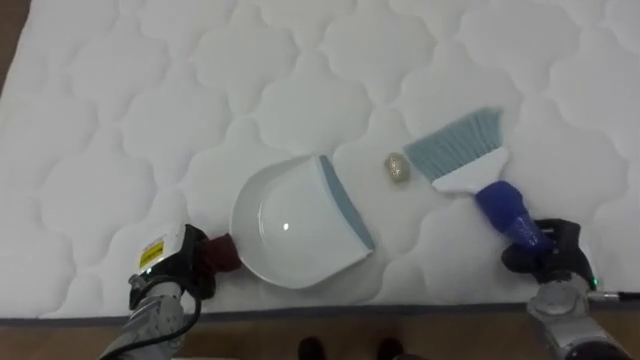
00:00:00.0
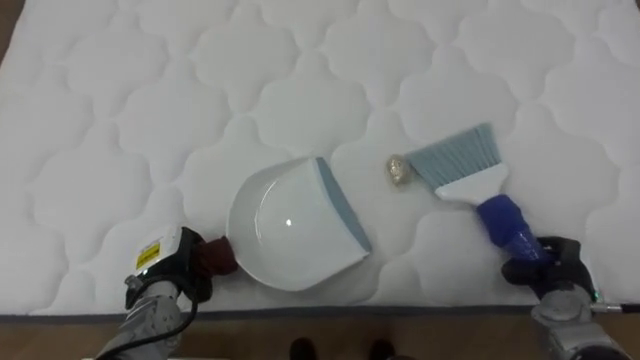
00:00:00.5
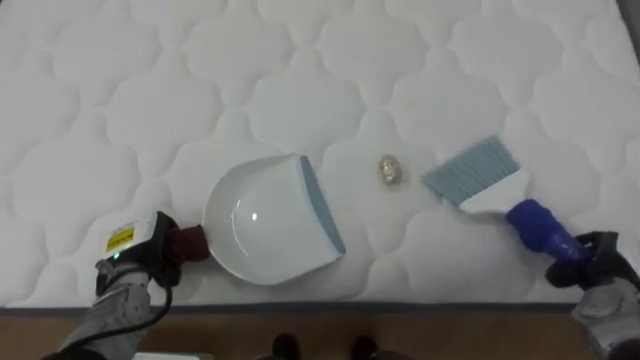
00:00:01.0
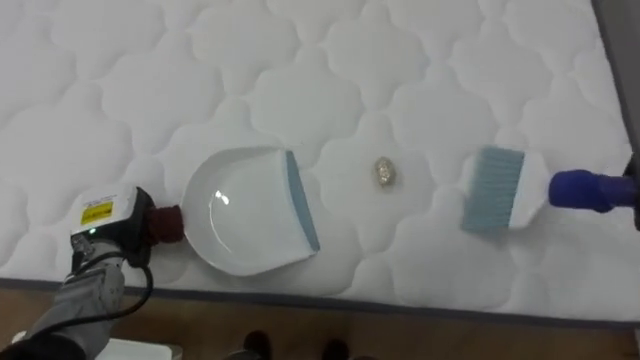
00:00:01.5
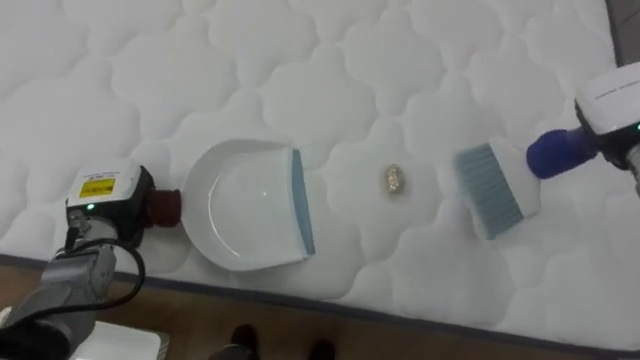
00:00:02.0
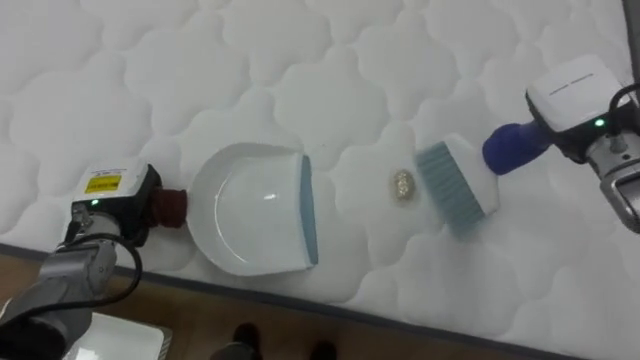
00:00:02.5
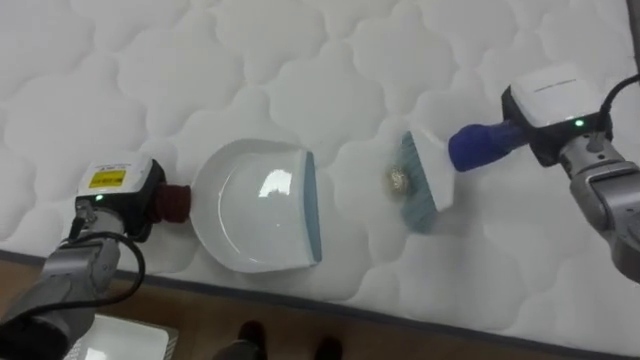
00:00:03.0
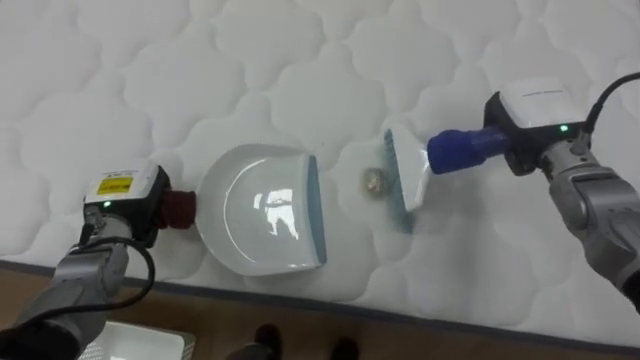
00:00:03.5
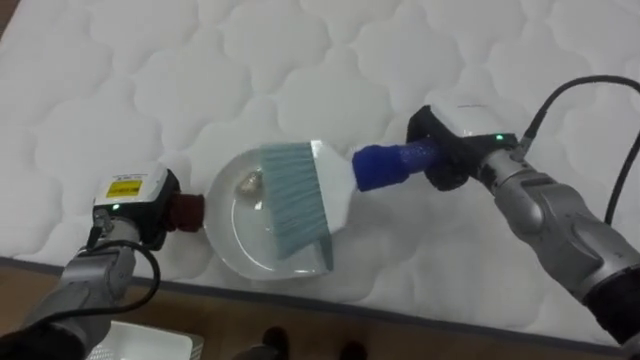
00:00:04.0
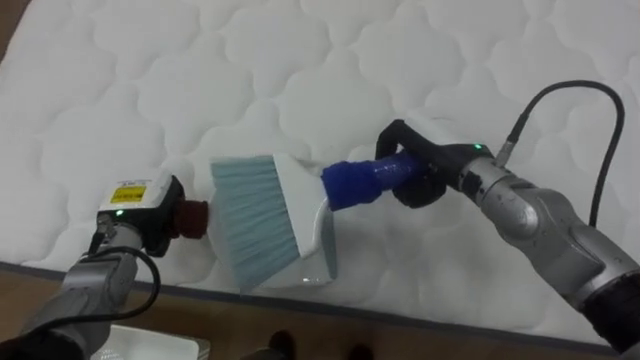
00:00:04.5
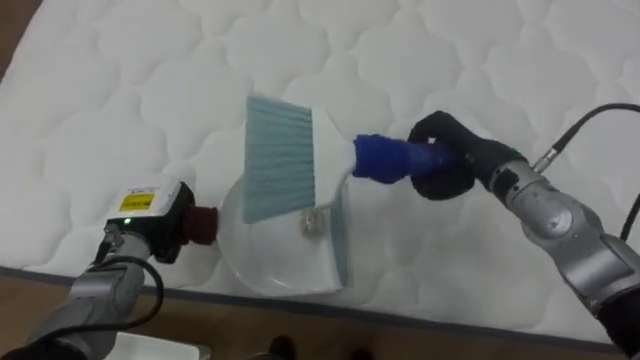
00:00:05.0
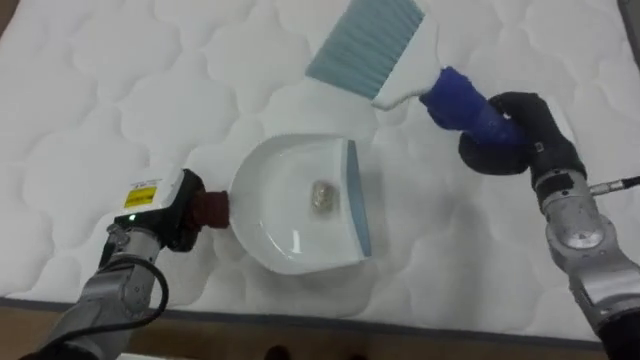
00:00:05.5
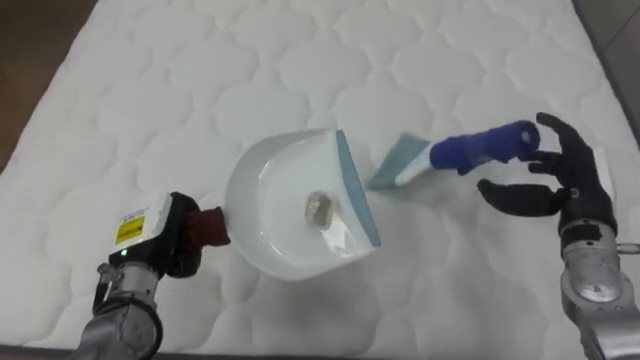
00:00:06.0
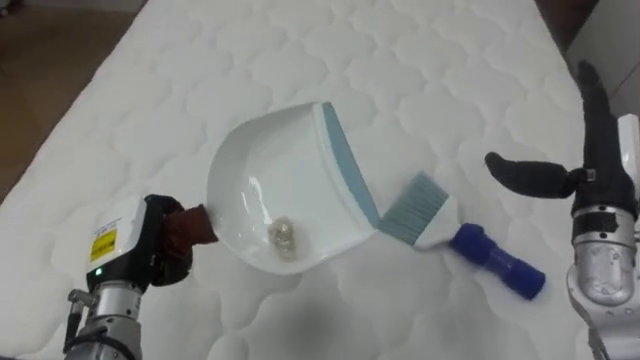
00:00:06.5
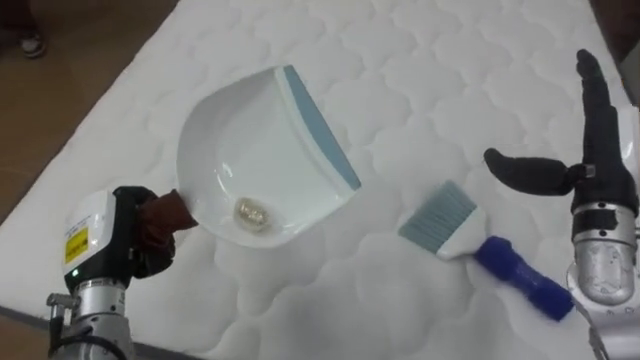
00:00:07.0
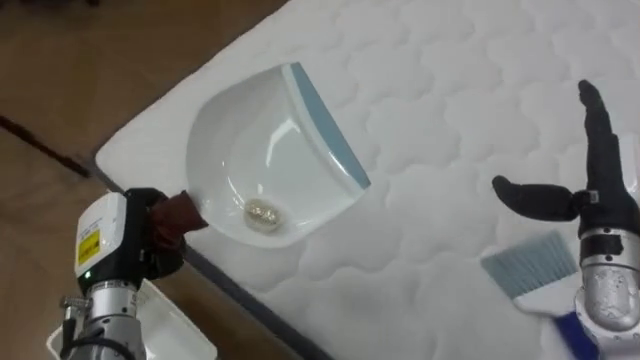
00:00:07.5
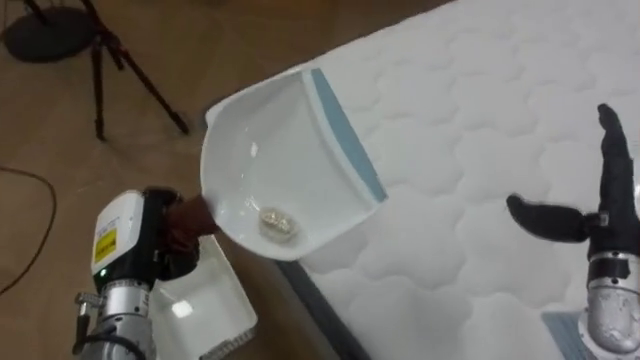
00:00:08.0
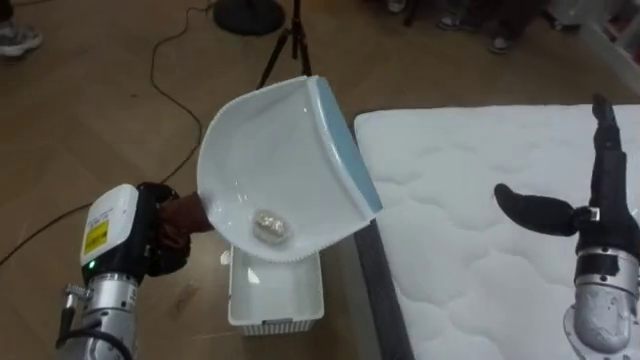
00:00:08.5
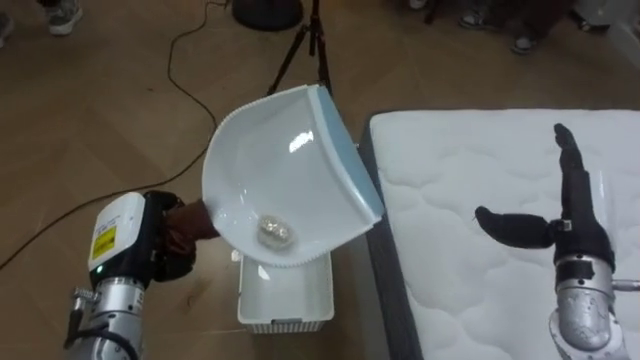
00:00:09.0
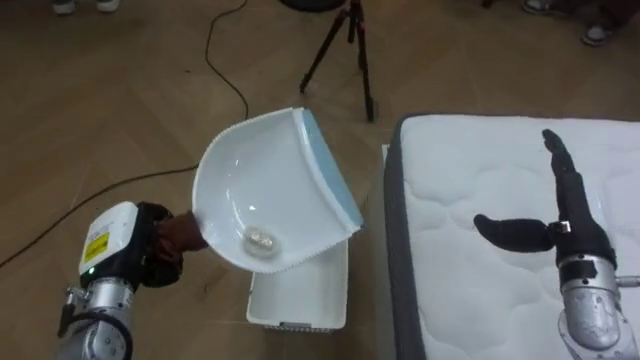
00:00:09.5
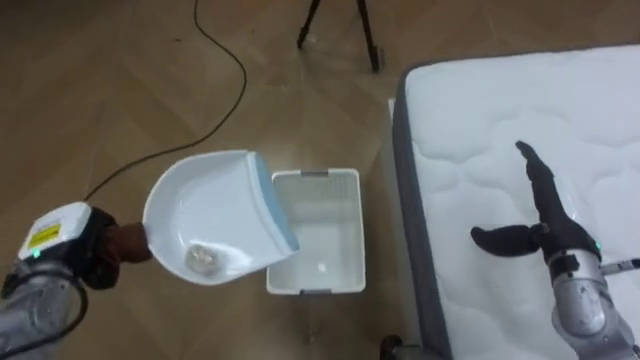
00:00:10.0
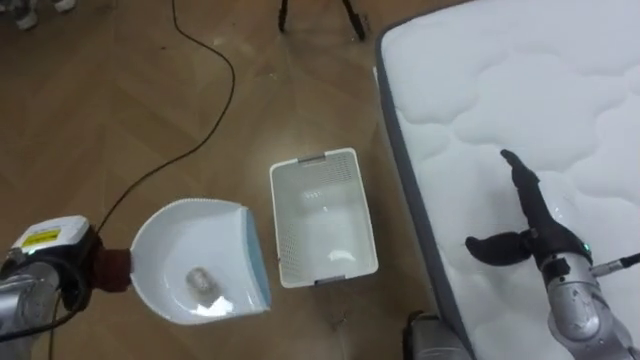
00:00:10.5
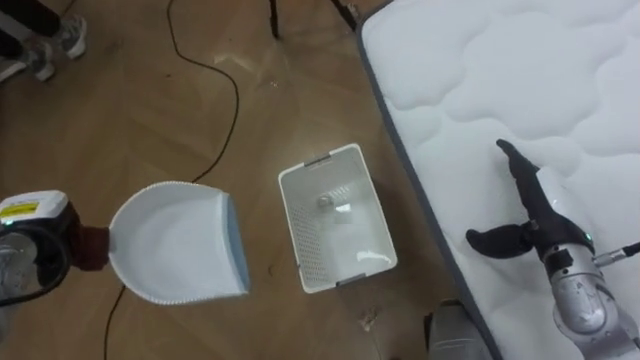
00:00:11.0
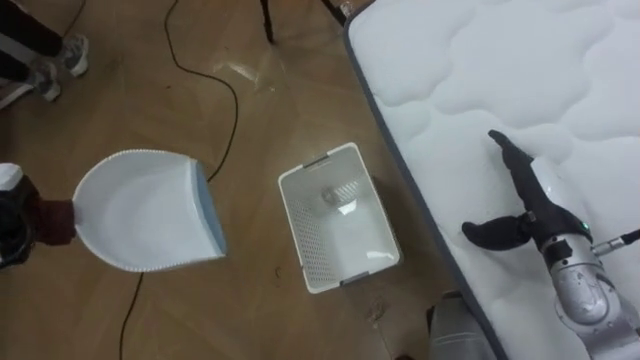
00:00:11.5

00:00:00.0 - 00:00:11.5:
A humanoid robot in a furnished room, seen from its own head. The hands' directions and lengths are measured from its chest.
Task of the whole recording: Pick up the brush on your right and the dustpan on your left. Use the brush to sweep the crumpled paper on the bed into the dustpan, then turn left and empty it into the basket.
00:00:00.0 - 00:00:02.0: The left hand is displaced upward and to the left by about 10 cm.
00:00:02.0 - 00:00:04.0: The right hand moves to the left, about 20 cm.
00:00:04.0 - 00:00:06.0: The right hand shifts about 15 cm to the right and backward, and opens; the left hand ends up about 5 cm from where it was.
00:00:06.0 - 00:00:07.5: The robot turns to its left by approximately 30 degrees. The right hand ends up about 5 cm from where it was, while the left hand ends up roughly 5 cm from where it was.
00:00:07.5 - 00:00:09.5: The robot rotates some 55 degrees to its left. The right hand moves roughly 5 cm.

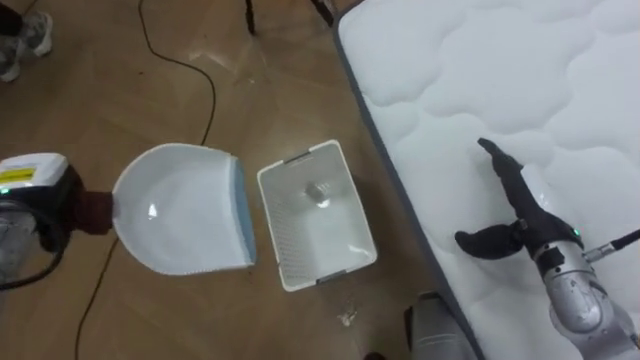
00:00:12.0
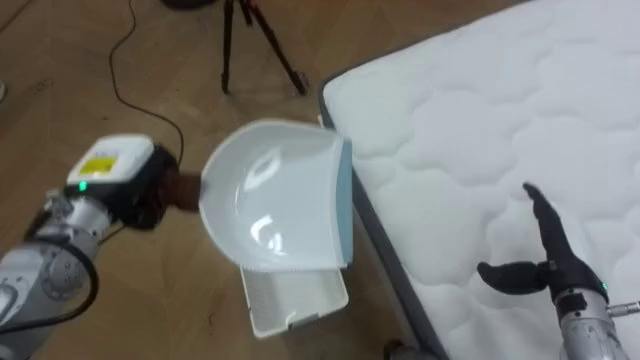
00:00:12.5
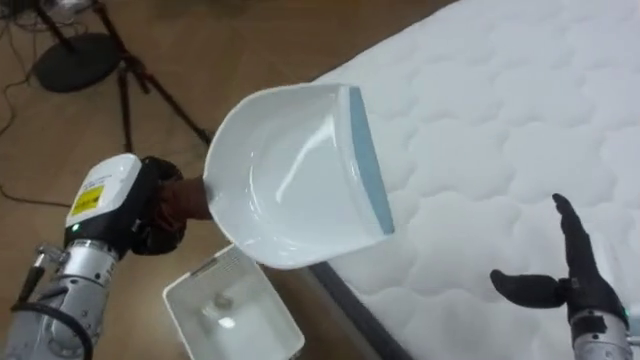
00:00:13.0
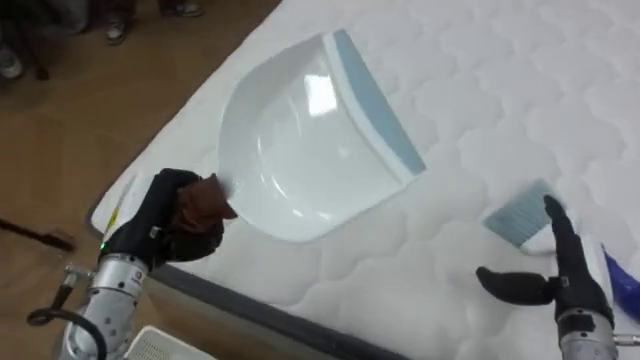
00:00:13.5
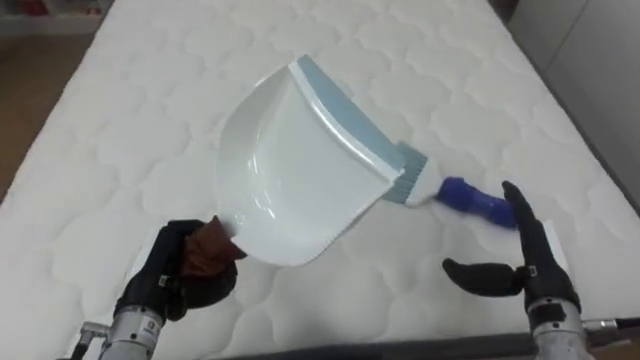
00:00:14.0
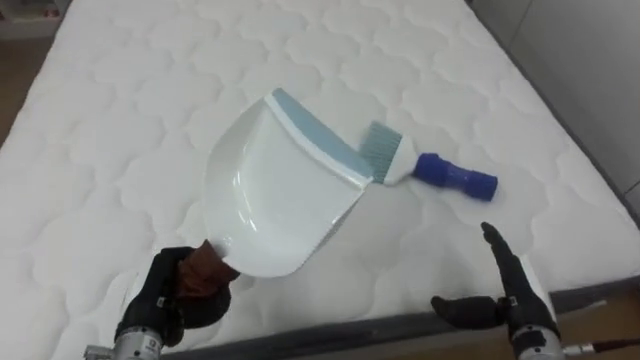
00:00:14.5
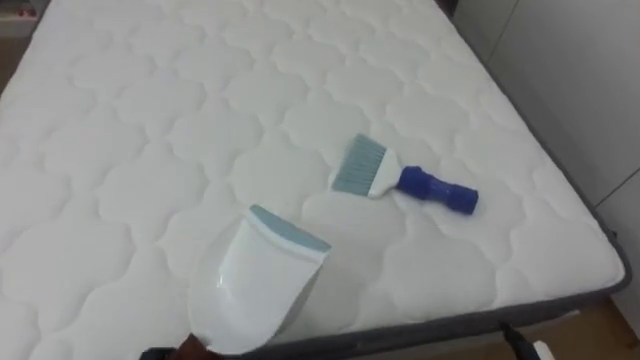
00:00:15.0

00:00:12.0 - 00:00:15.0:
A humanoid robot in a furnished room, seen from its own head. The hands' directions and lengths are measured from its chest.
Task of the whole recording: Pick up the brush on your right and the dustpan on your left. Use the brush to sweep the crumpled paper on the bed into the dustpan, then turn left and empty it into the basket.
00:00:12.0 - 00:00:13.5: The robot turns to its right by approximately 55 degrees. The right hand is displaced backward by about 10 cm, while the left hand travels to the right by about 15 cm.
00:00:13.5 - 00:00:15.0: The robot rotates some 40 degrees to its right.

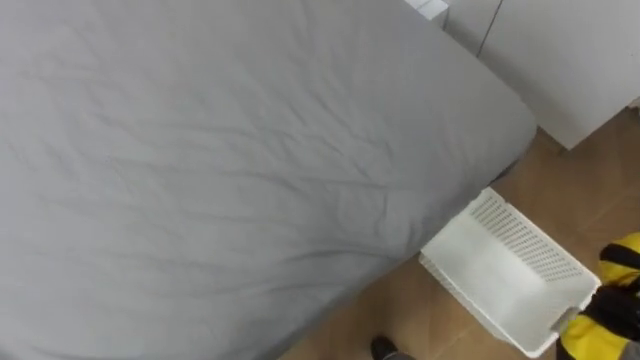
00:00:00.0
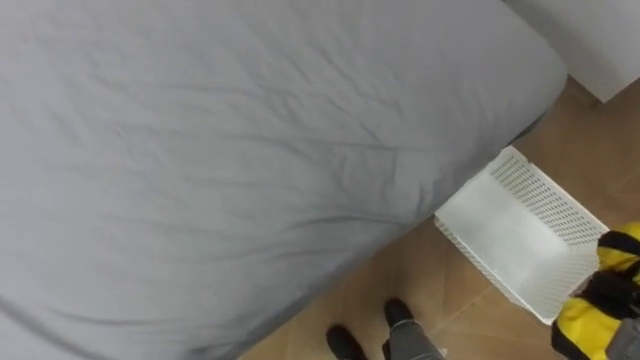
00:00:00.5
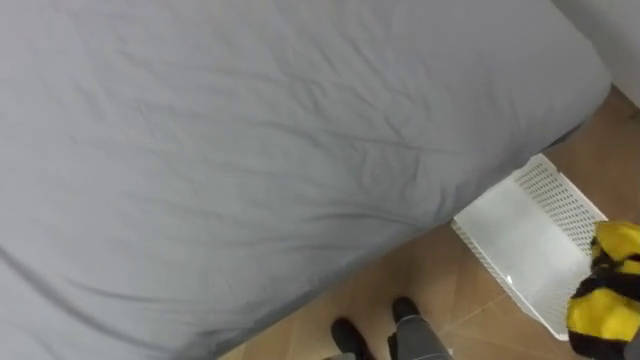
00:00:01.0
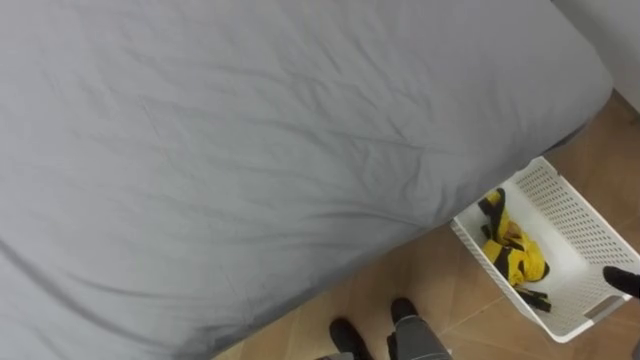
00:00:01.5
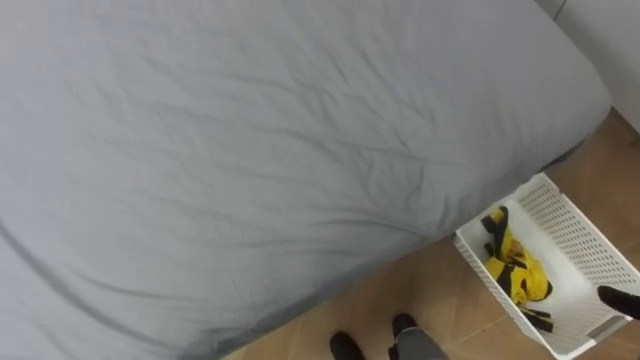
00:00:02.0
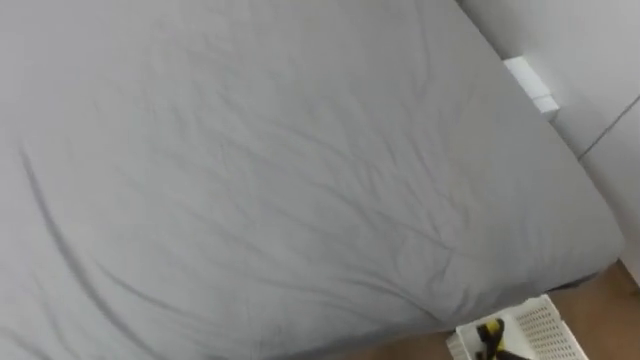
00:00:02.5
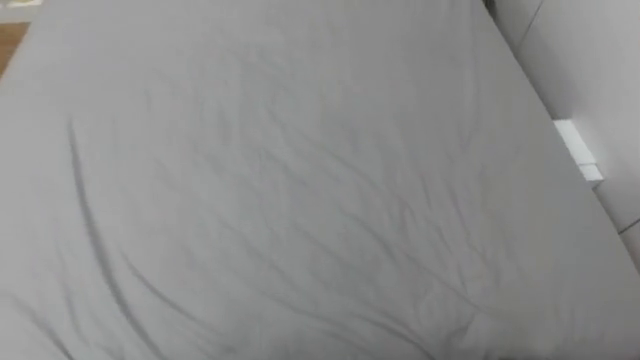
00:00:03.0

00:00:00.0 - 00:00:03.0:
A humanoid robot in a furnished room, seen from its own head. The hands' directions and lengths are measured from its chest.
Task of the whole recording: Pick up the yellow clothes on the bed and place them into the white basket on the right.
00:00:01.5 - 00:00:03.0: The robot turns to its left by about 15 degrees.

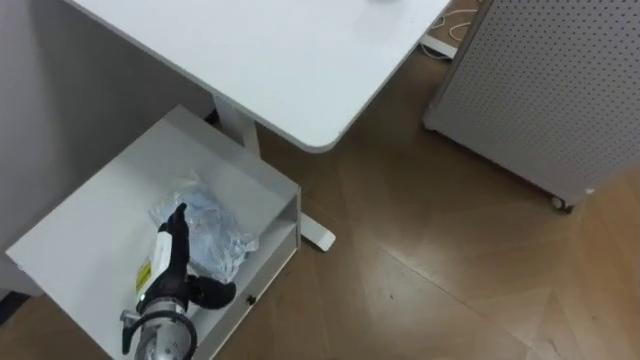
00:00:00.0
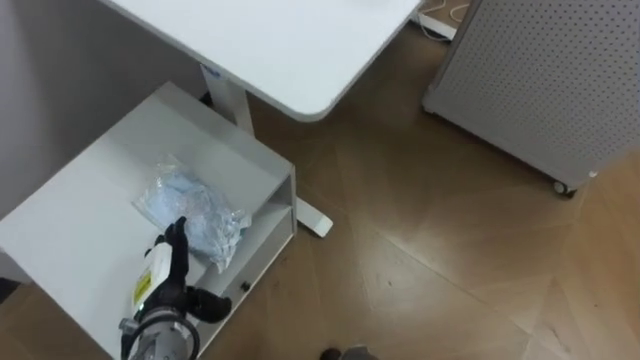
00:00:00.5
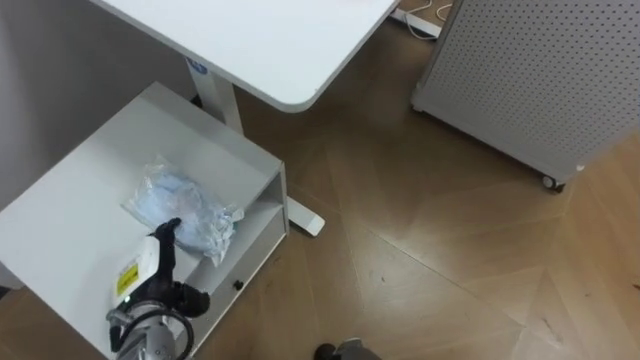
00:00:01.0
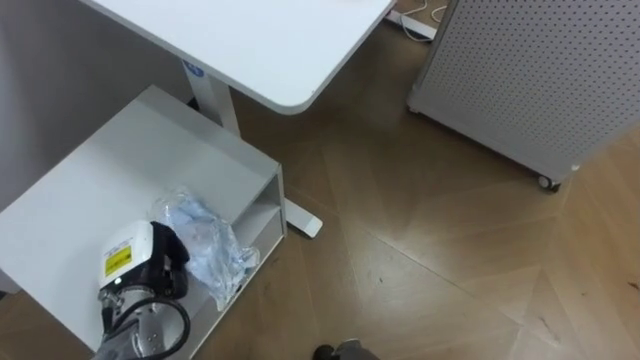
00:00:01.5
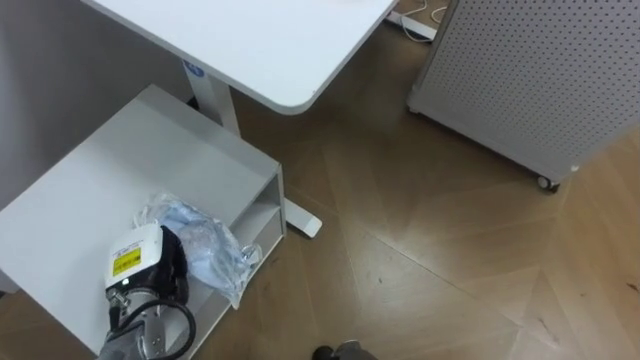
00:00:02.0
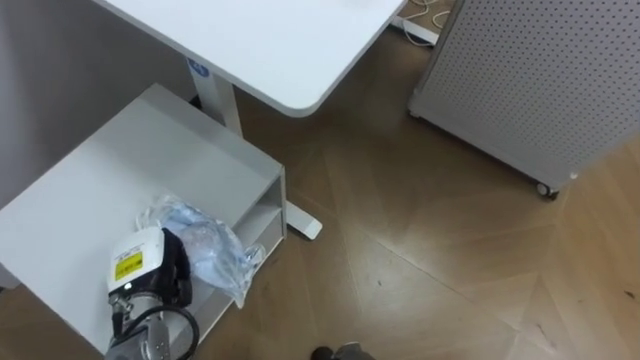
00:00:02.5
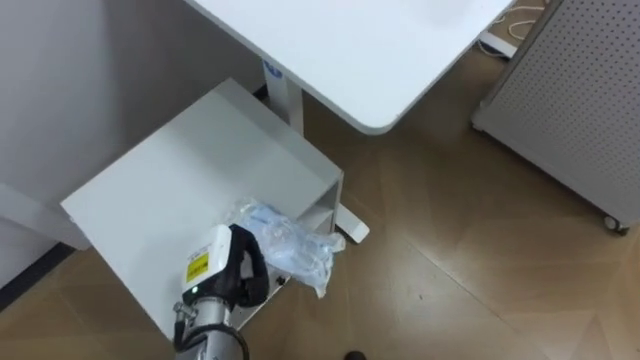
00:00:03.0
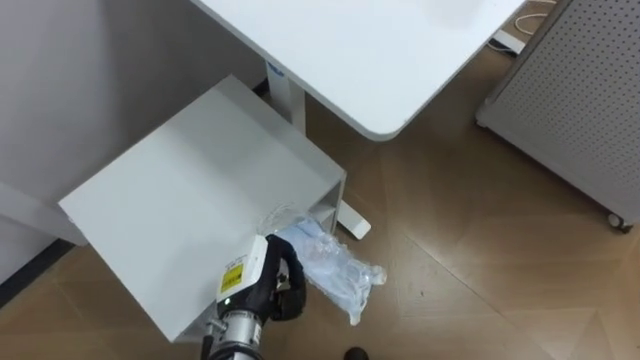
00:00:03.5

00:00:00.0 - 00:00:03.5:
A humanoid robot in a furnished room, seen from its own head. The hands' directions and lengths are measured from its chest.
Task of the whole recording: Pick up the light blue package, the candy box, and the dark blue package separately, and put them into the trash can held in your right hand.
00:00:00.0 - 00:00:02.0: The left hand closes its fingers.
00:00:02.0 - 00:00:03.5: The left hand heads to the right, covering approximately 15 cm.
